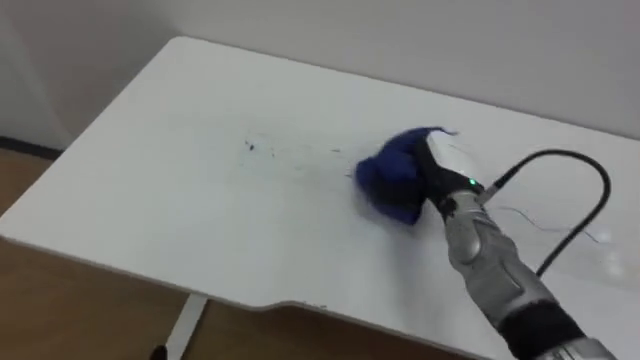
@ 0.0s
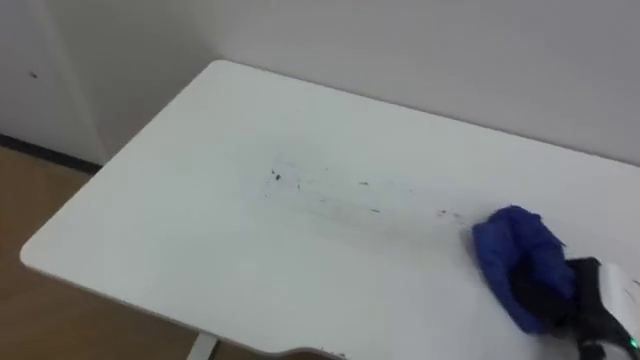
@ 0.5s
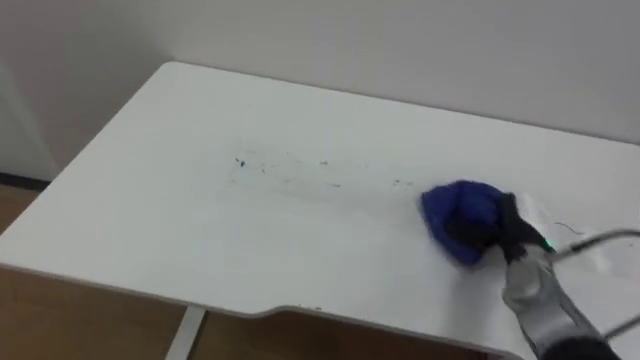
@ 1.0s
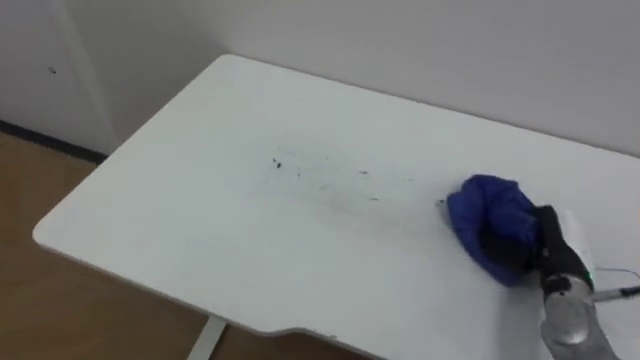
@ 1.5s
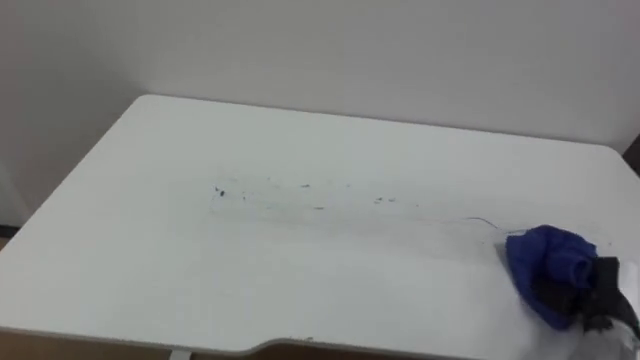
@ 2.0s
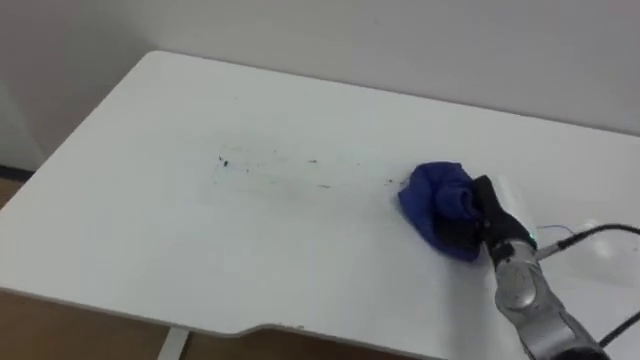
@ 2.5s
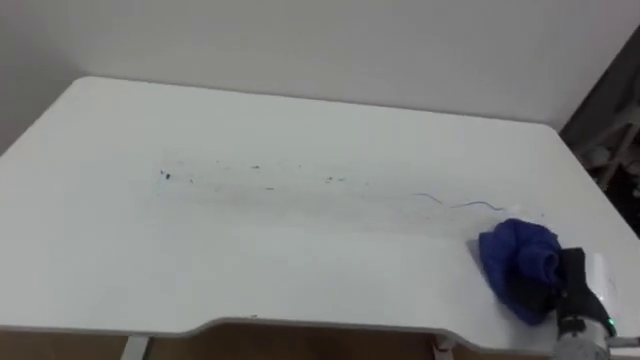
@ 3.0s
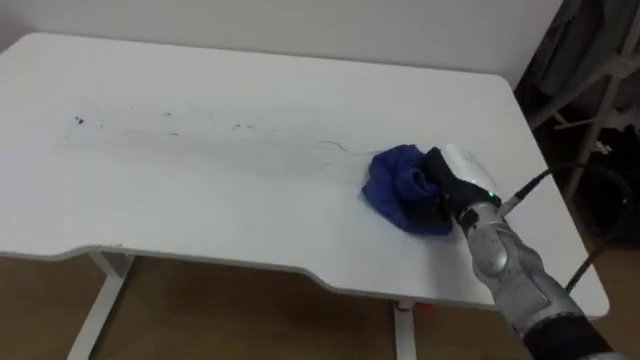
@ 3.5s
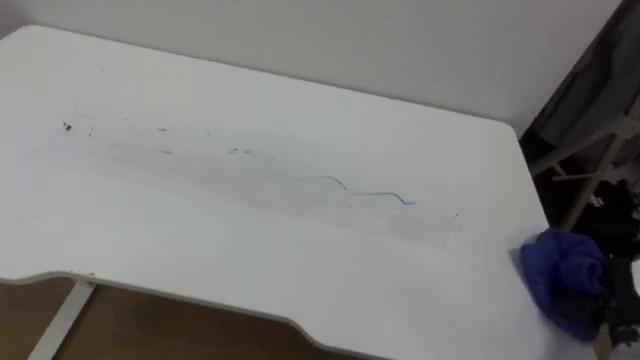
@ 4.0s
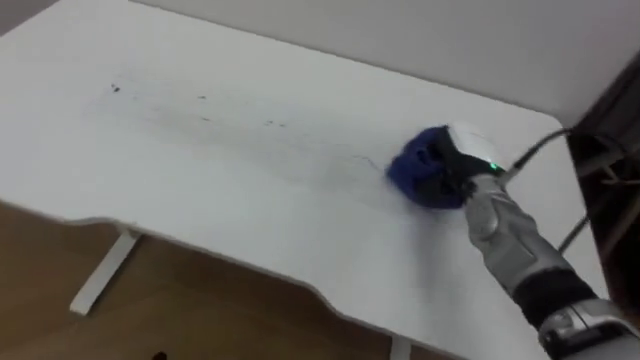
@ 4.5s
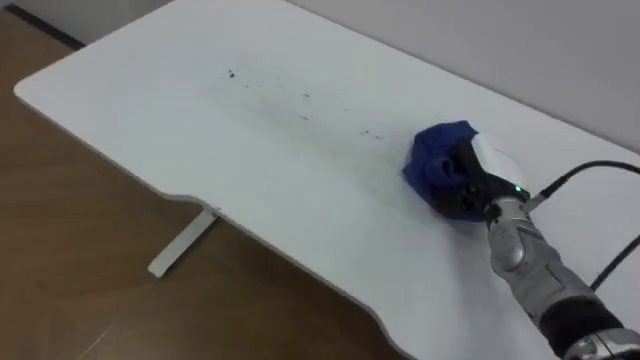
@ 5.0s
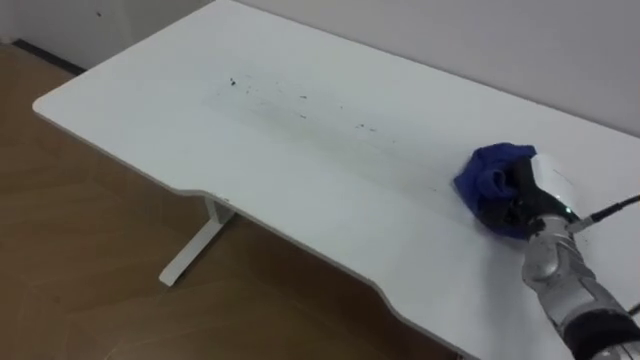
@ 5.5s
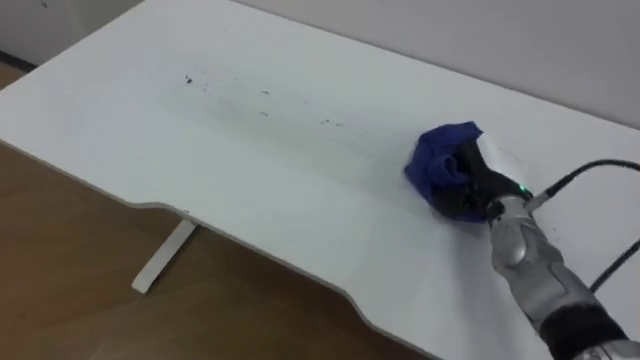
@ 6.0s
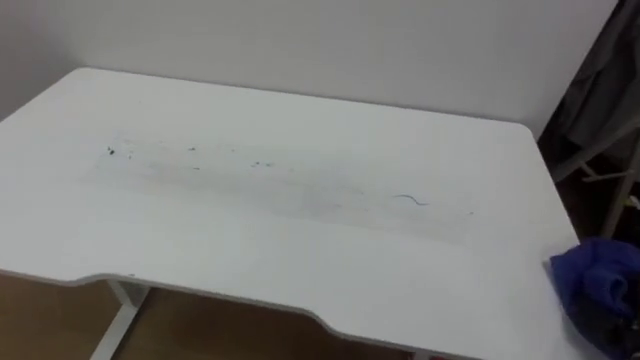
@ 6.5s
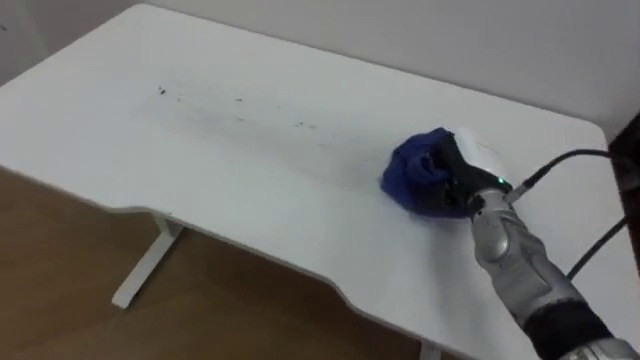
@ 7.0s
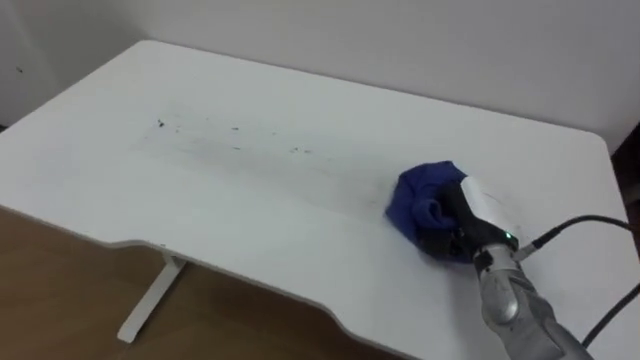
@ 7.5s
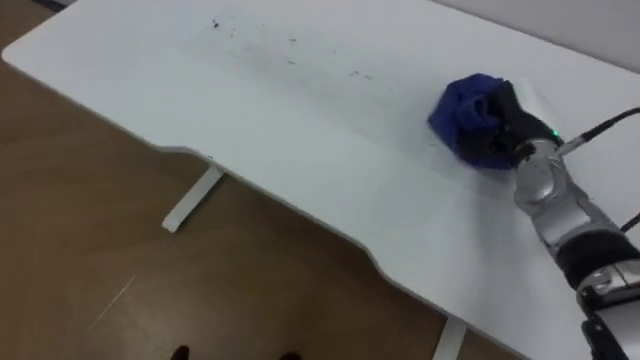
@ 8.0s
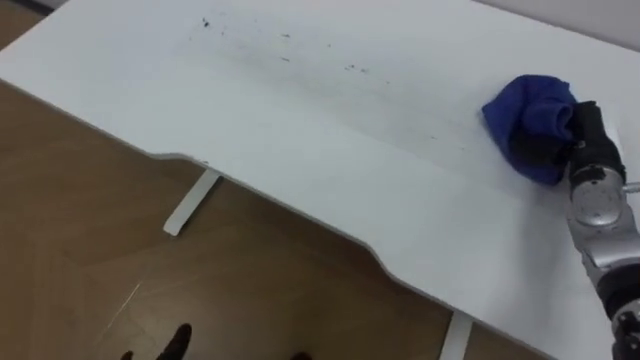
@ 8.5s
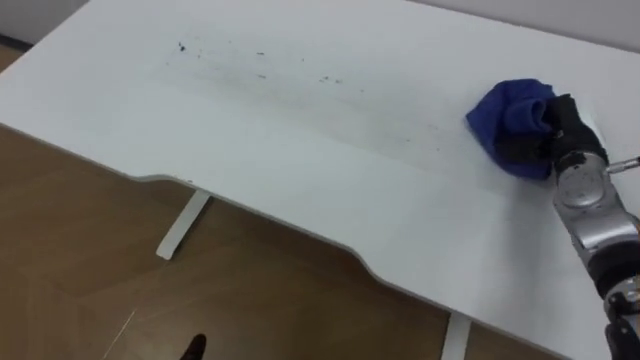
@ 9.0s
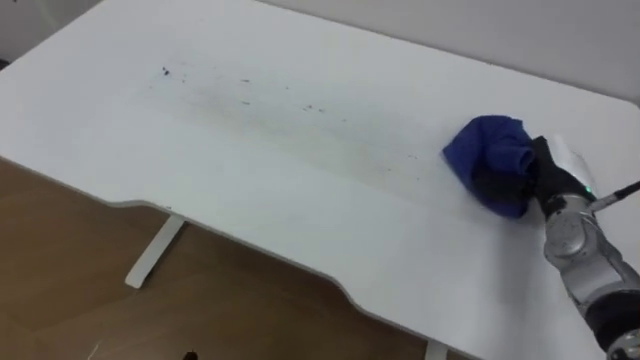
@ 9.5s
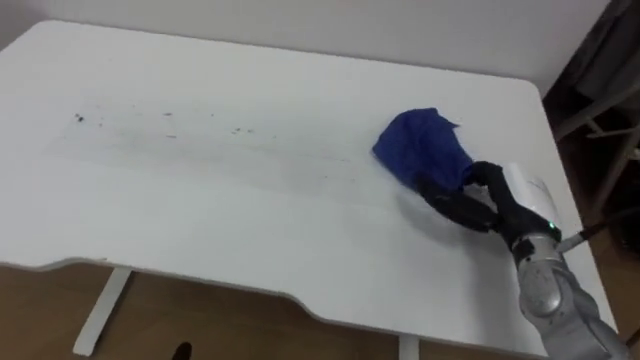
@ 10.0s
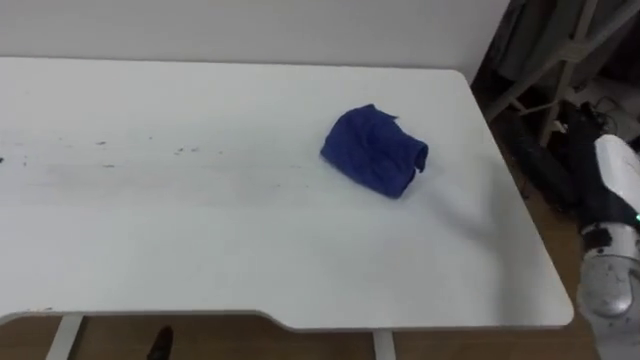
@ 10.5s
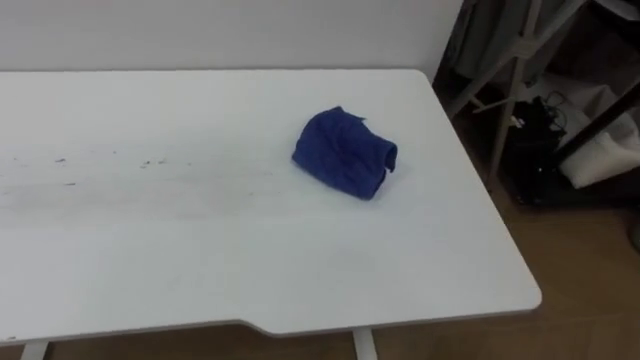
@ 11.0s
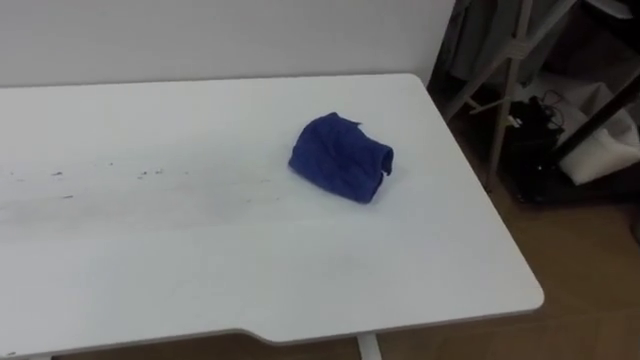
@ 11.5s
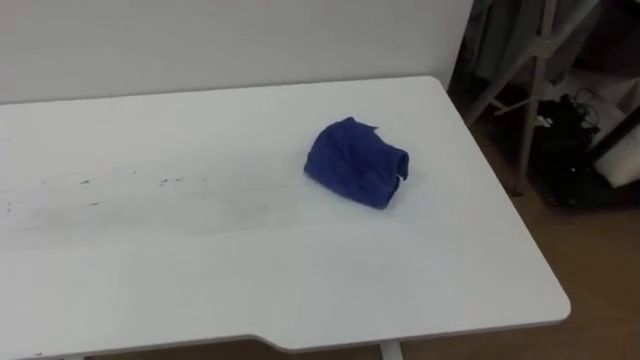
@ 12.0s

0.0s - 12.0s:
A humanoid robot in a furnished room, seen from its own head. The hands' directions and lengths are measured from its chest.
Task of the whole recording: Wipe the blue pen marks off the table with the rag.
0.0s - 2.0s: The right hand moves to the right, backward and downward, roughly 25 cm.
2.0s - 4.0s: The right hand goes left and right, approximately 20 cm each way, reversing 3 times.
4.0s - 6.0s: The right hand moves forward, to the left and upward, about 25 cm.
6.0s - 8.0s: The right hand moves forward and backward over some 25 cm, changing direction 3 times.
8.0s - 10.0s: The right hand goes roughly 10 cm backward, and opens up.

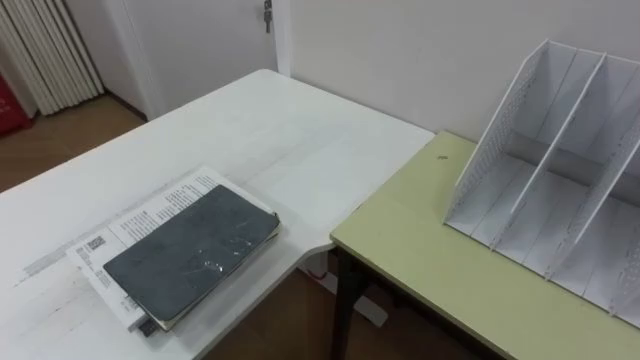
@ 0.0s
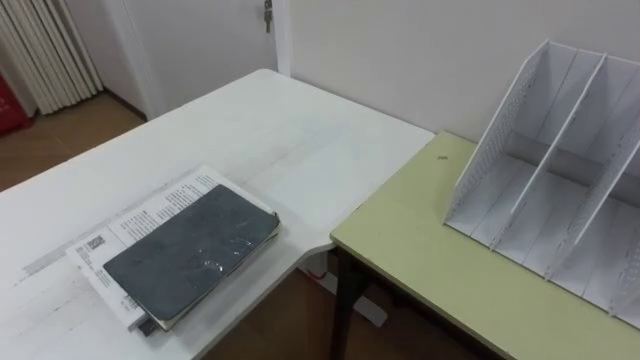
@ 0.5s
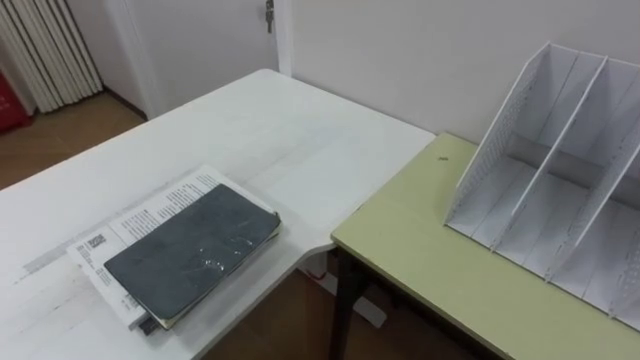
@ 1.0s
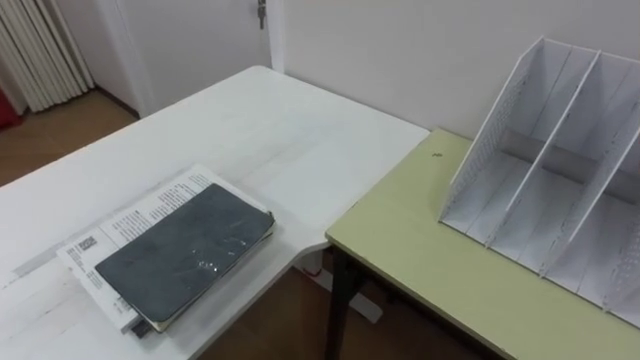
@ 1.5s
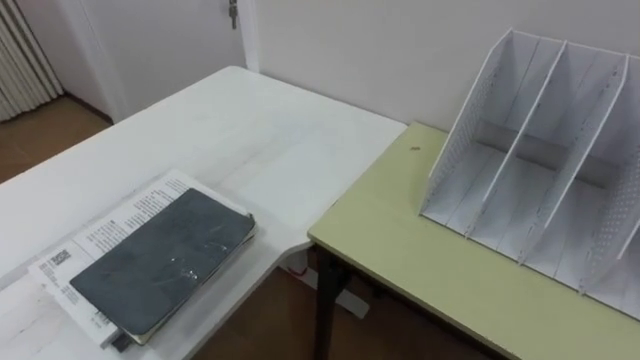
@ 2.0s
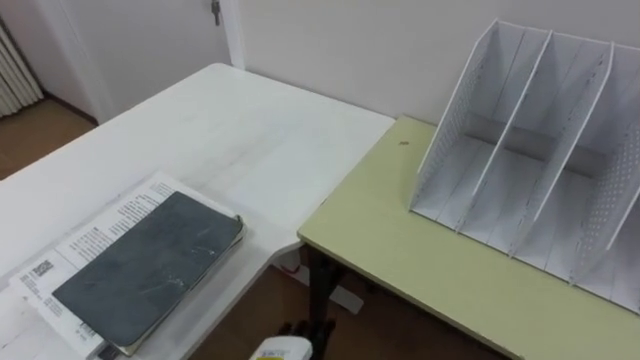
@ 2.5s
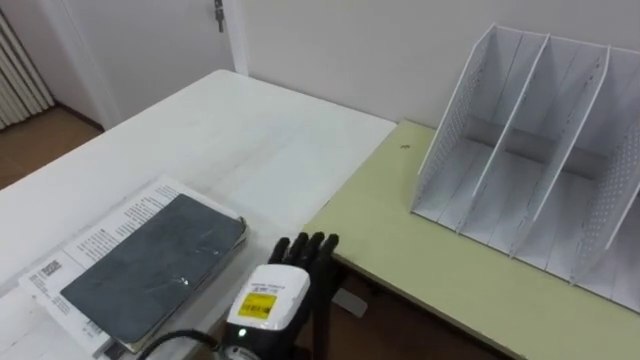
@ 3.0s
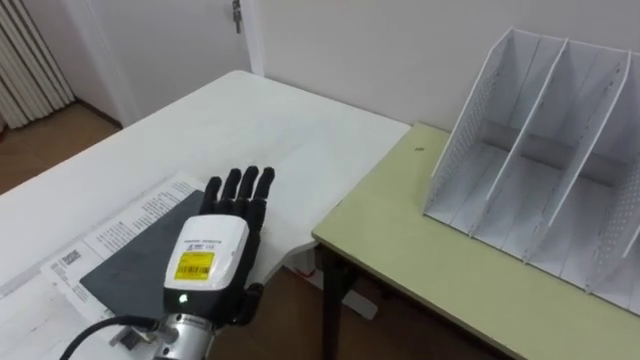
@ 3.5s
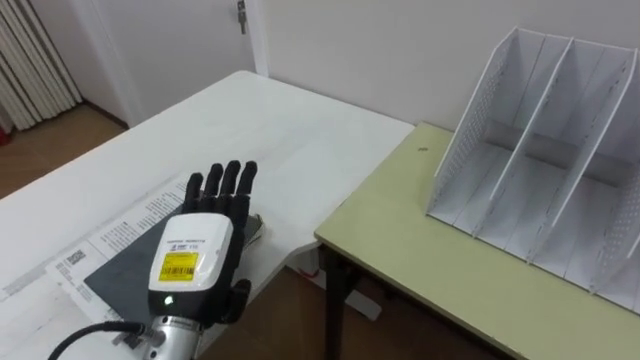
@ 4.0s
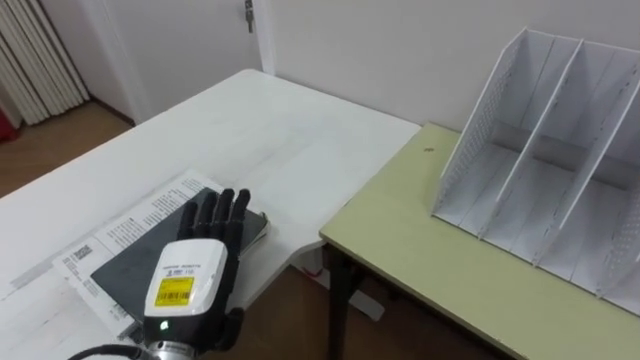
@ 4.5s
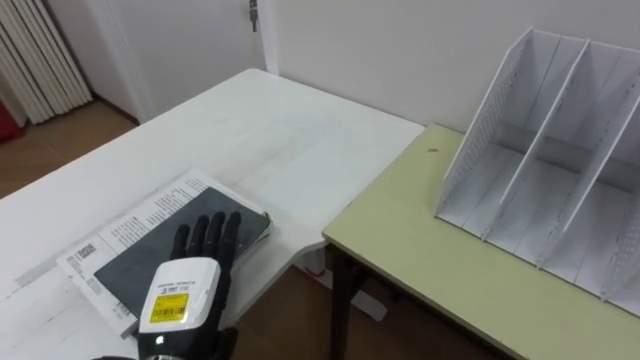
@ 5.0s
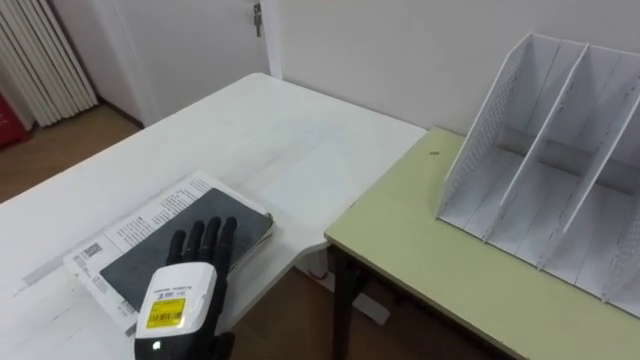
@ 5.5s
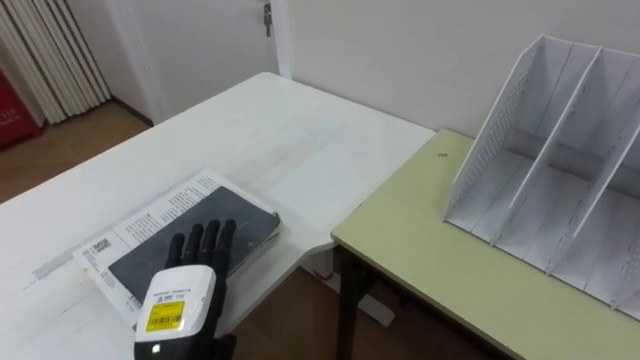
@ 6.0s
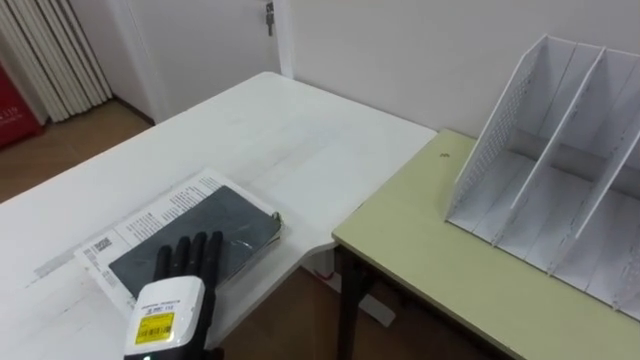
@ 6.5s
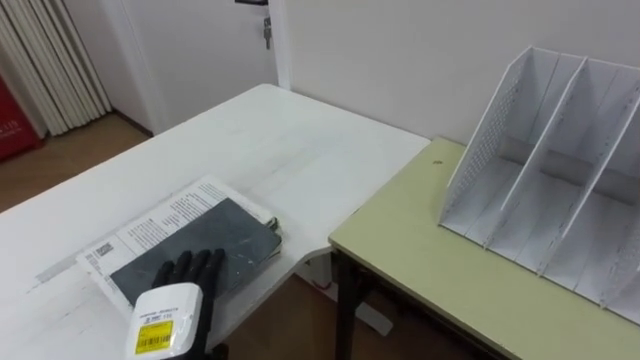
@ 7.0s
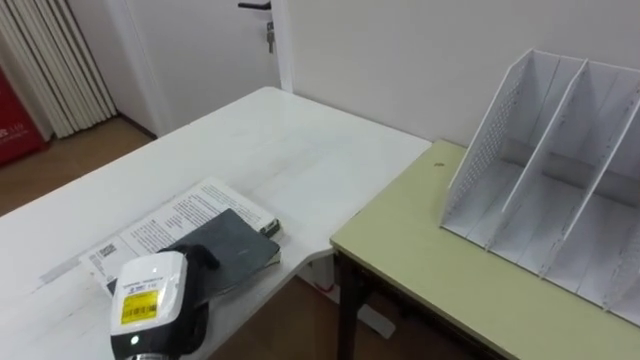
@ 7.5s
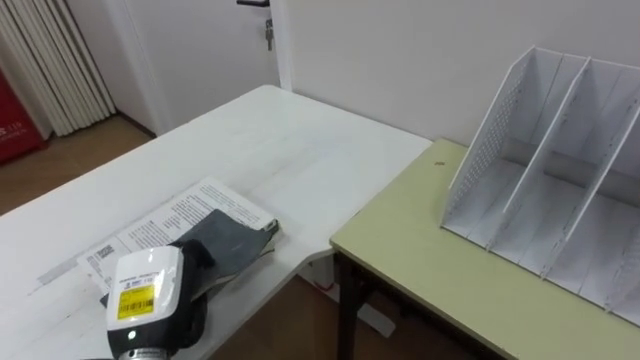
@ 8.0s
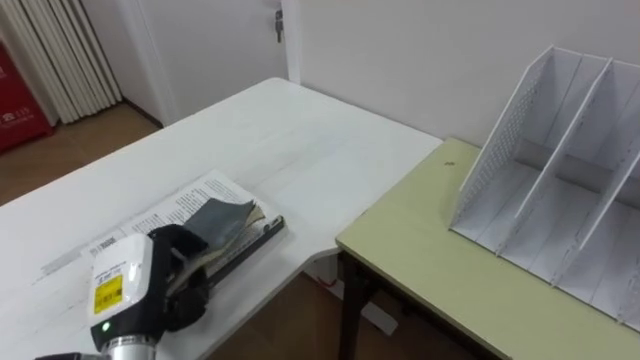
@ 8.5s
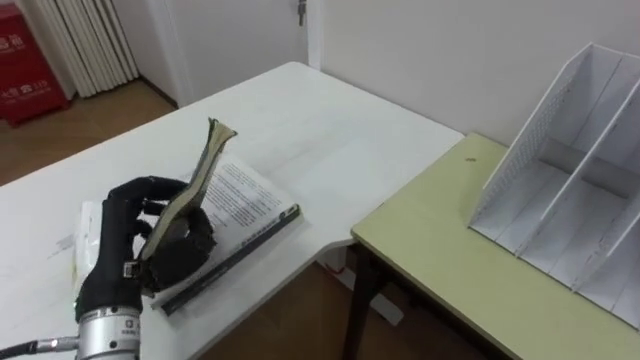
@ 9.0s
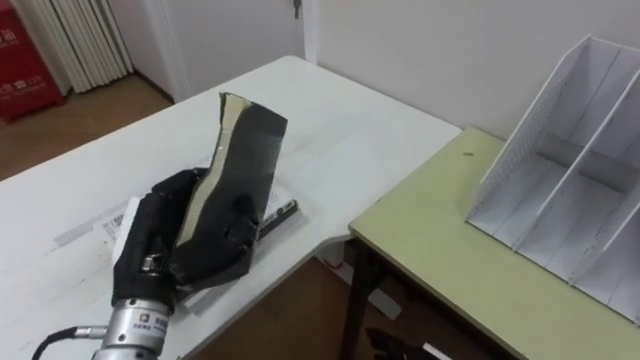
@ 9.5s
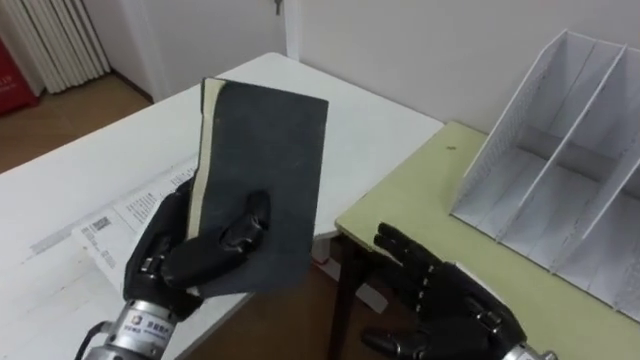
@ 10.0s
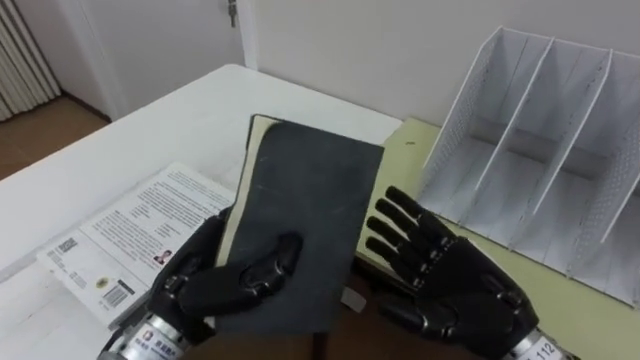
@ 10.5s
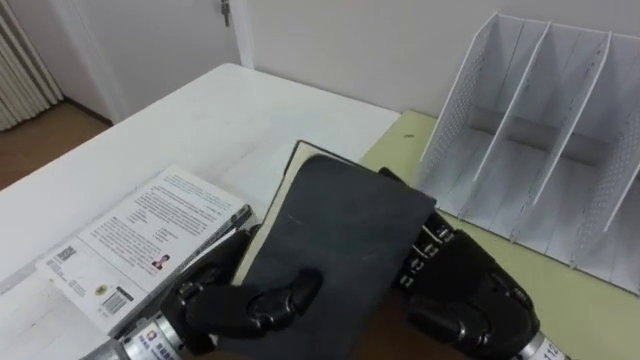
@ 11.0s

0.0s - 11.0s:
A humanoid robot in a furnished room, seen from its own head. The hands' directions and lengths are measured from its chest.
Task of the whole recording: Put the books on the table onto the bookshelf.
3.5s - 5.5s: The left hand changes place by about 5 cm.
5.5s - 7.5s: The left hand closes up.
7.5s - 9.0s: The left hand is displaced upward by about 10 cm.
9.0s - 11.0s: The left hand goes roughly 10 cm to the right.
